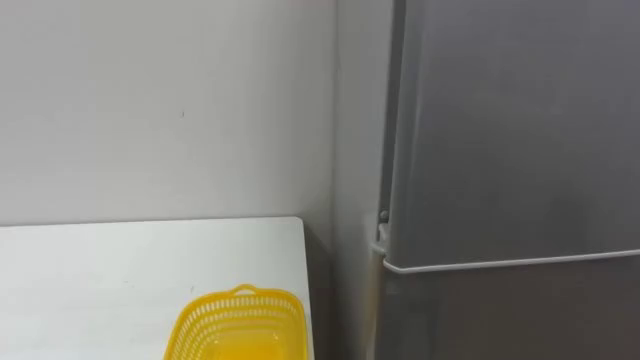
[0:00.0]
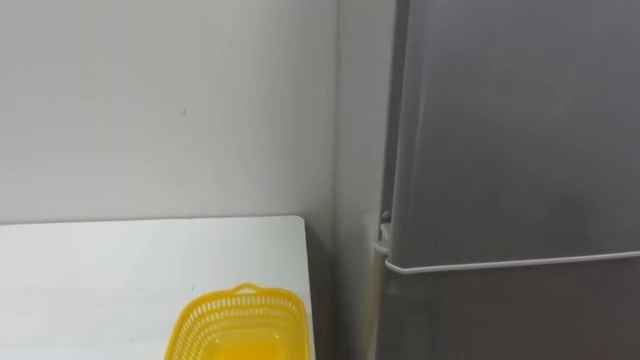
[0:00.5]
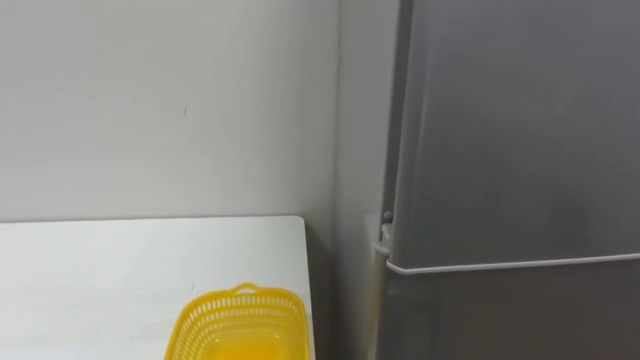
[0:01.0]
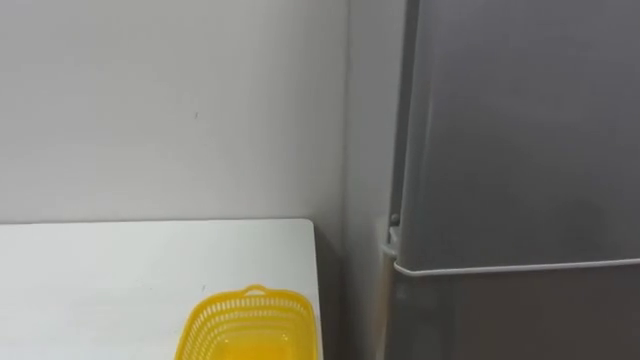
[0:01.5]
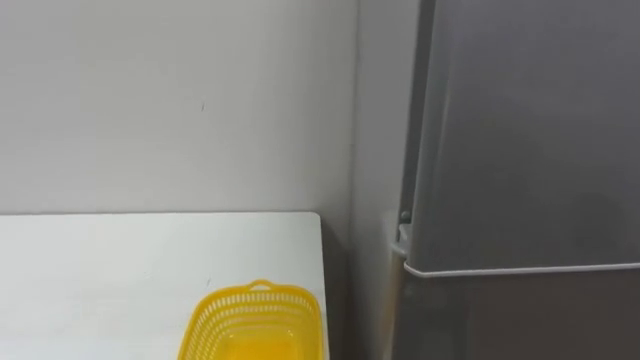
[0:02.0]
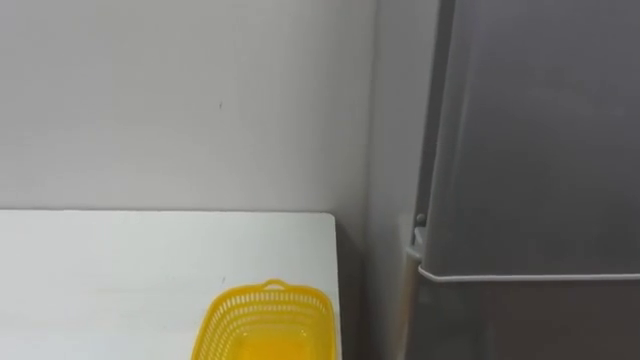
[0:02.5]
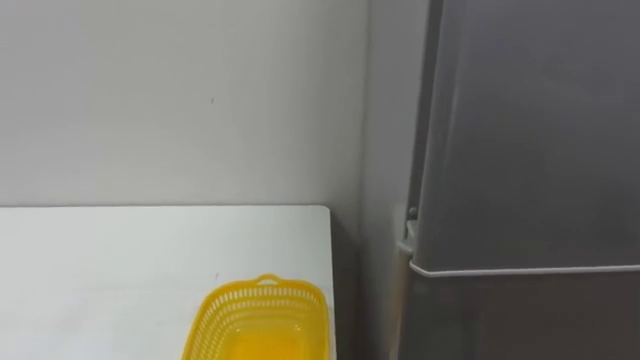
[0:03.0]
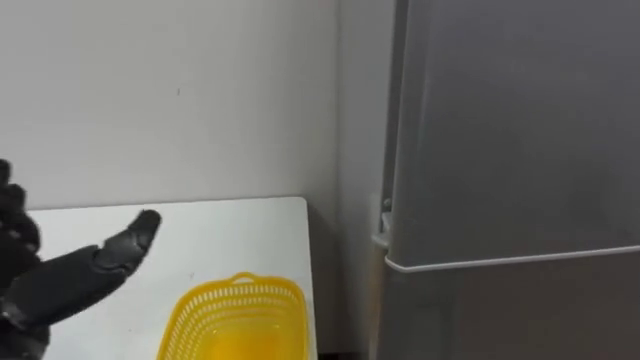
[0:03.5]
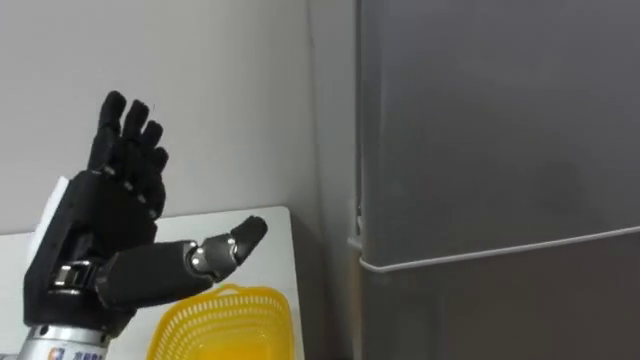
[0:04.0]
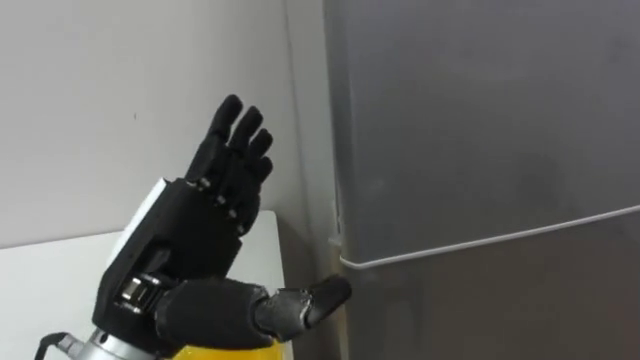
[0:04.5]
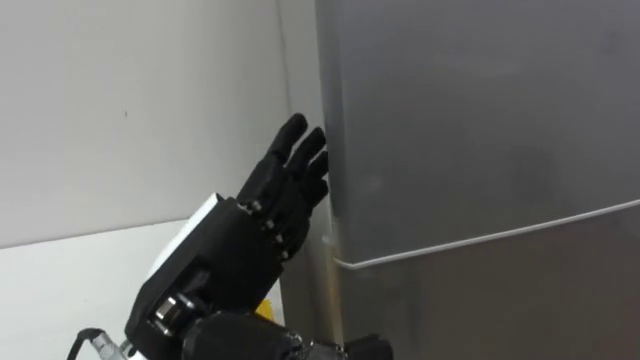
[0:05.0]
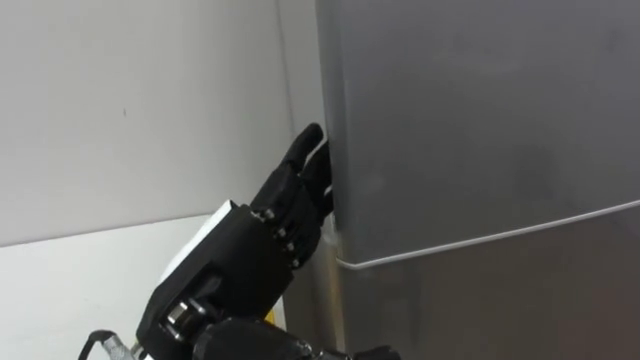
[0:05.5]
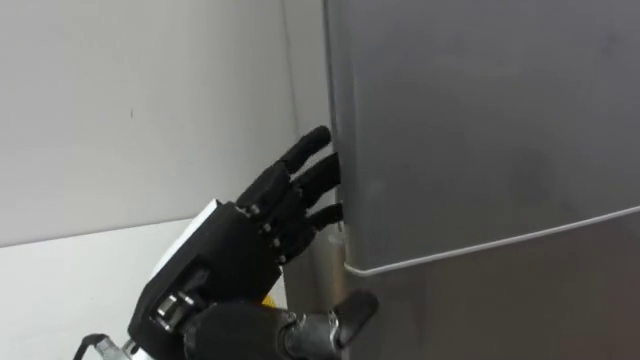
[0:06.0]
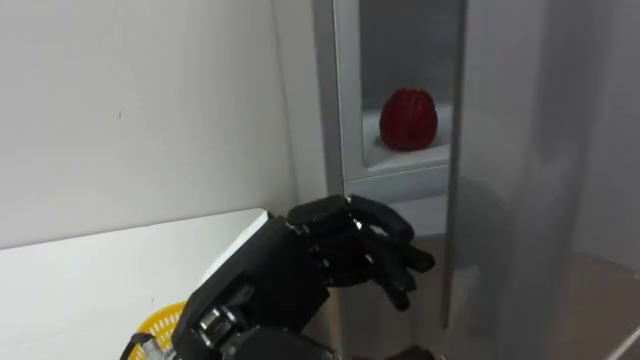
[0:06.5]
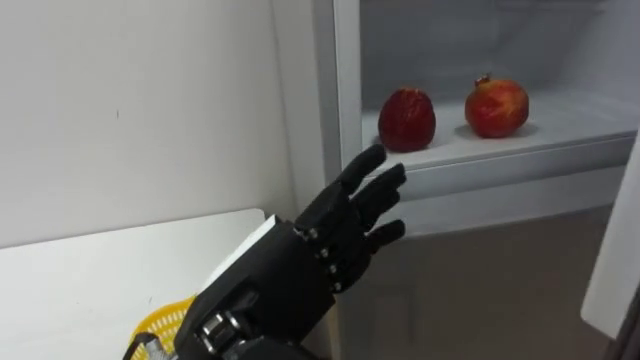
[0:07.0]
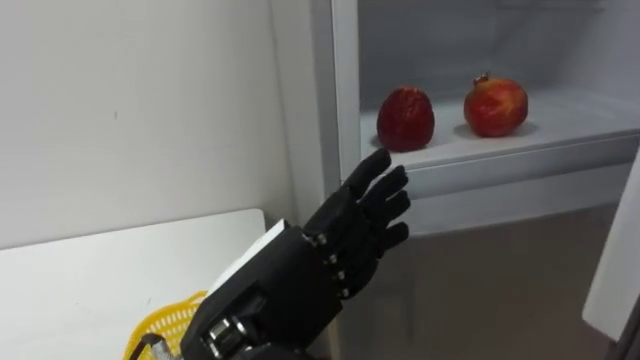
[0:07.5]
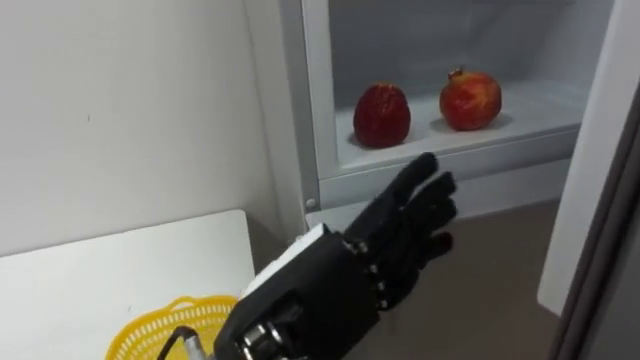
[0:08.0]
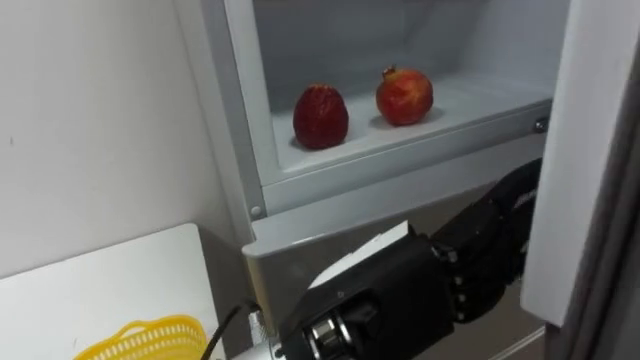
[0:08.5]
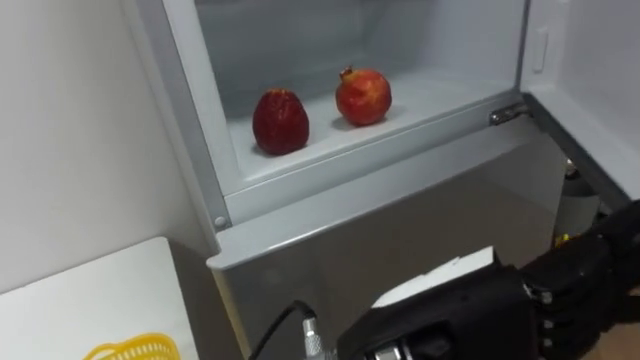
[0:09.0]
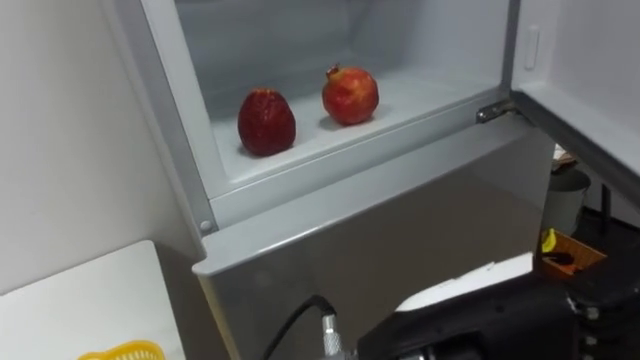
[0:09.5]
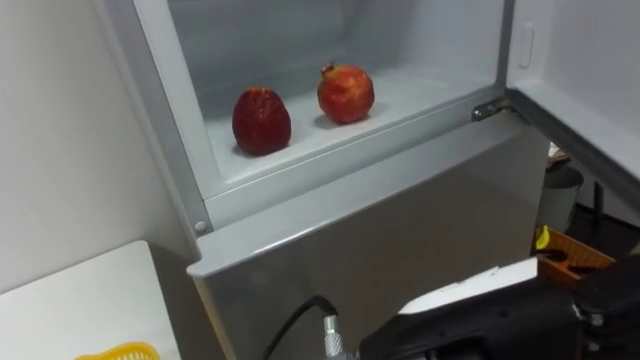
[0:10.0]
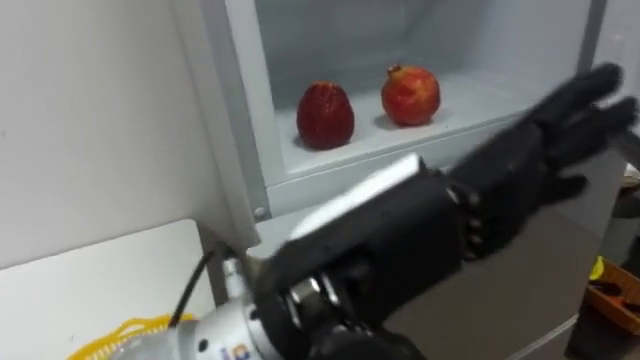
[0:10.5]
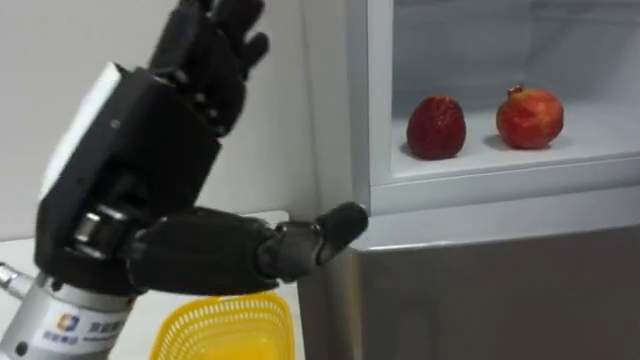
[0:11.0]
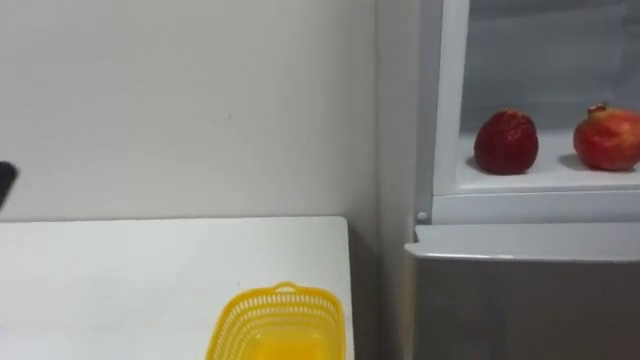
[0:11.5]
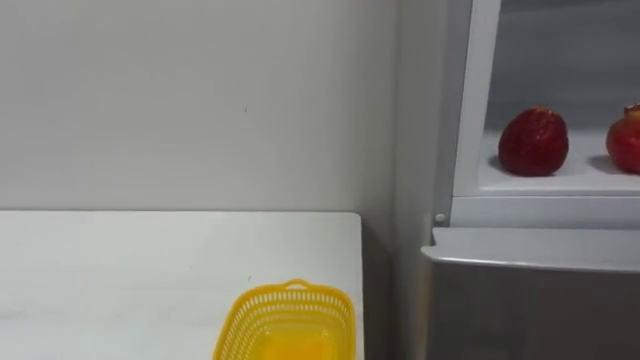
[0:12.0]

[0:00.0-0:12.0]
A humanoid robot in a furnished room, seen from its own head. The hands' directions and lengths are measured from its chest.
Task of the whole recording: Open the refrigerator door, take out the apple and the pomegranate, place them in the fruit basket on the left, and close the refrigerator door.
0:04.0 to 0:06.0: The left hand goes approximately 10 cm to the right.
0:06.0 to 0:08.0: The left hand is displaced to the right by about 5 cm, and closes, then opens again.
0:08.0 to 0:10.0: The left hand heads to the right, covering some 10 cm.

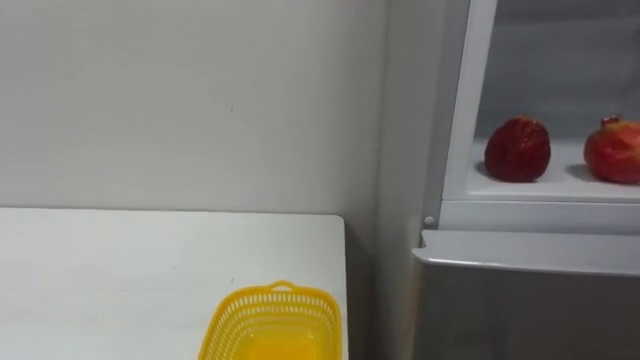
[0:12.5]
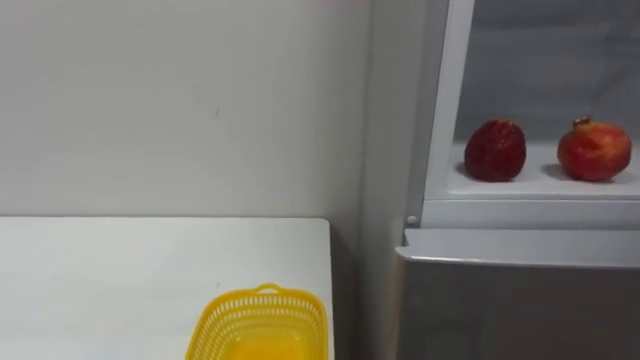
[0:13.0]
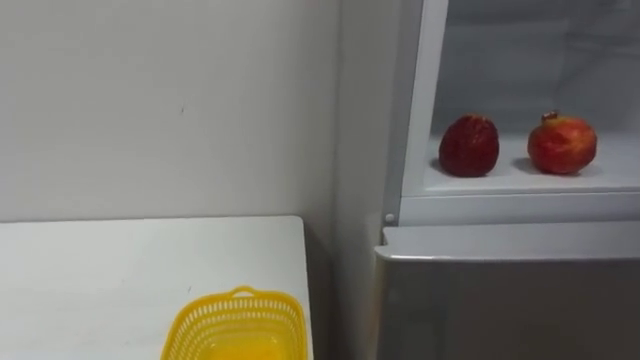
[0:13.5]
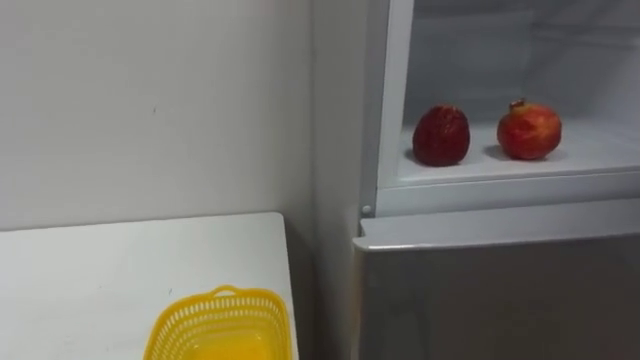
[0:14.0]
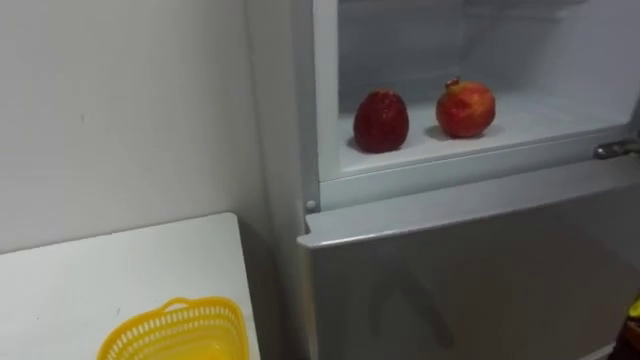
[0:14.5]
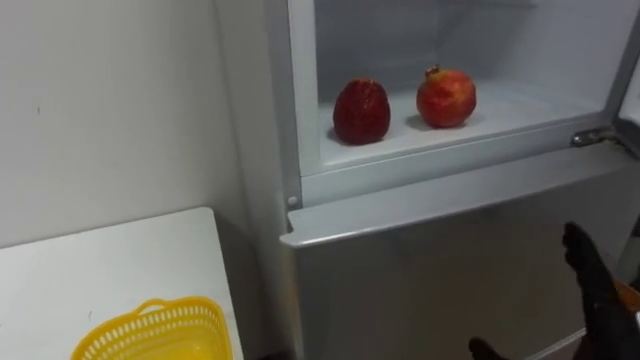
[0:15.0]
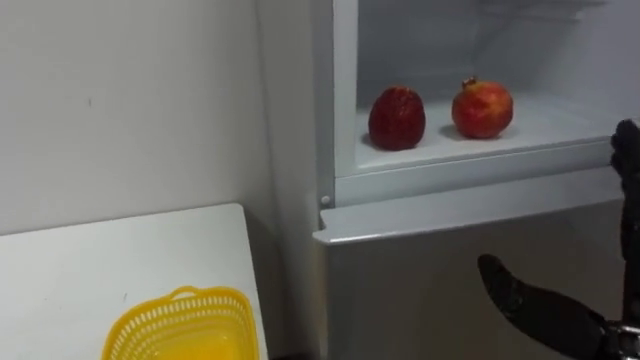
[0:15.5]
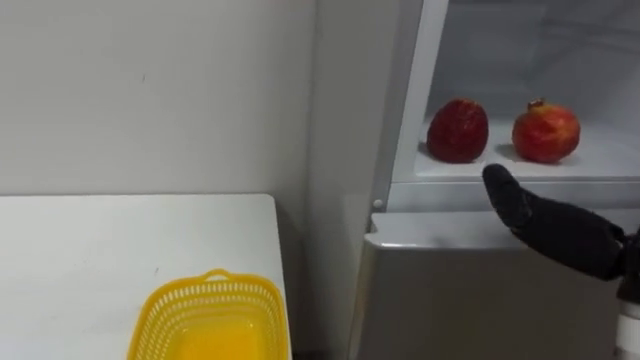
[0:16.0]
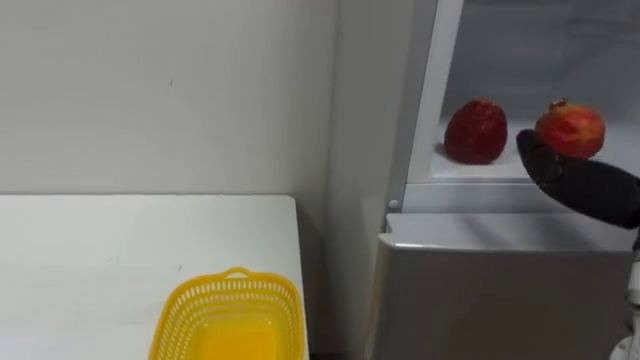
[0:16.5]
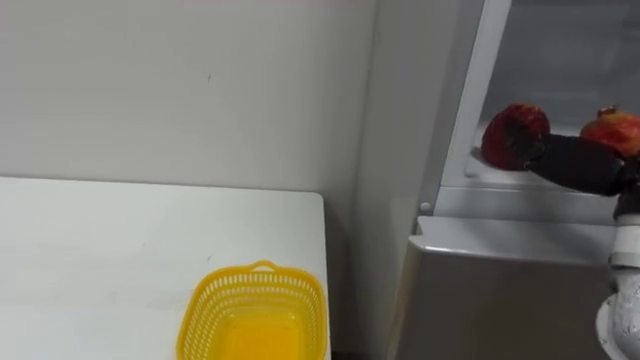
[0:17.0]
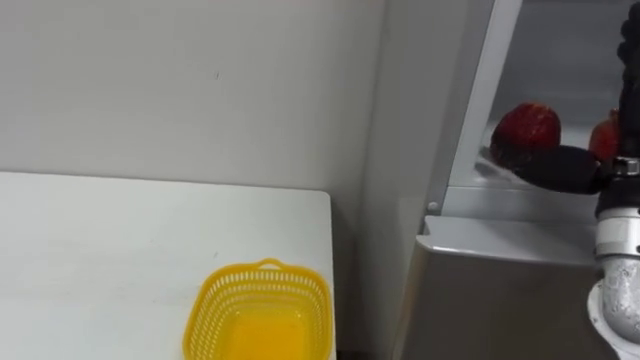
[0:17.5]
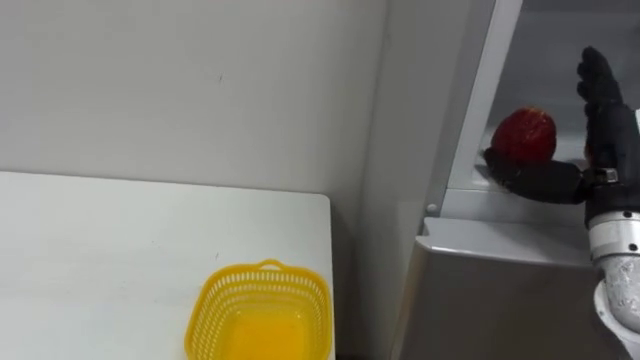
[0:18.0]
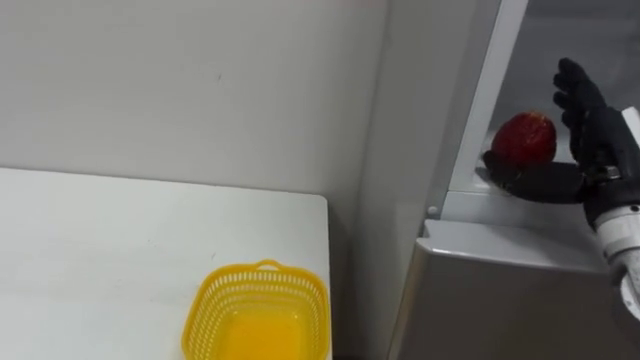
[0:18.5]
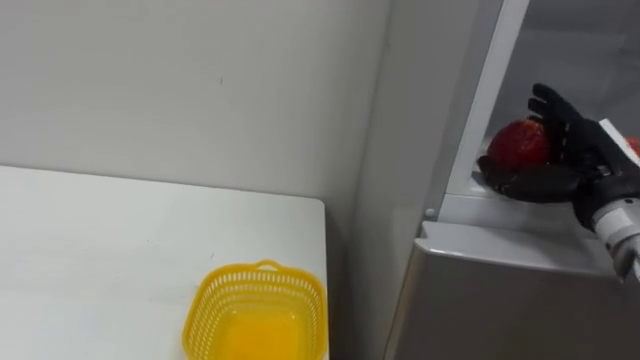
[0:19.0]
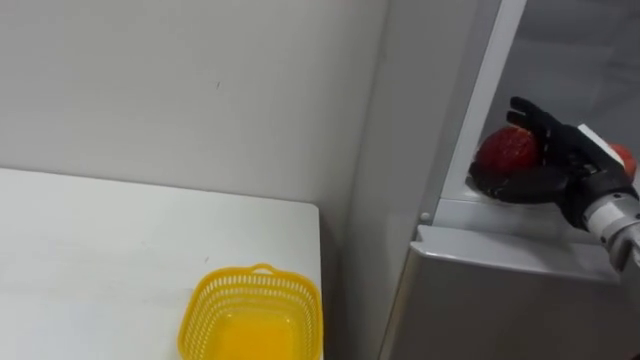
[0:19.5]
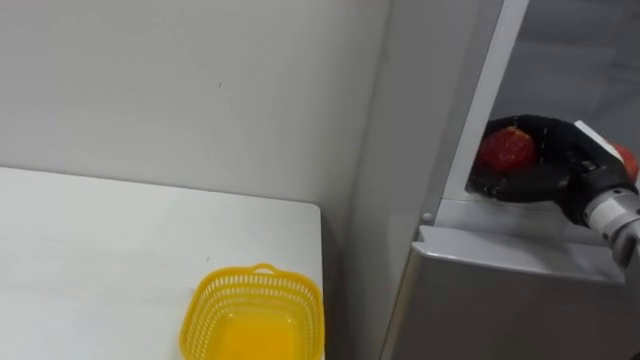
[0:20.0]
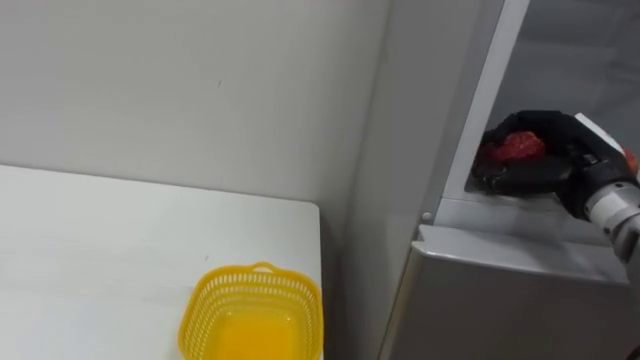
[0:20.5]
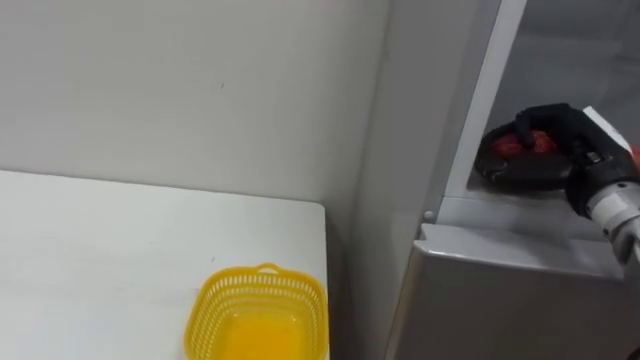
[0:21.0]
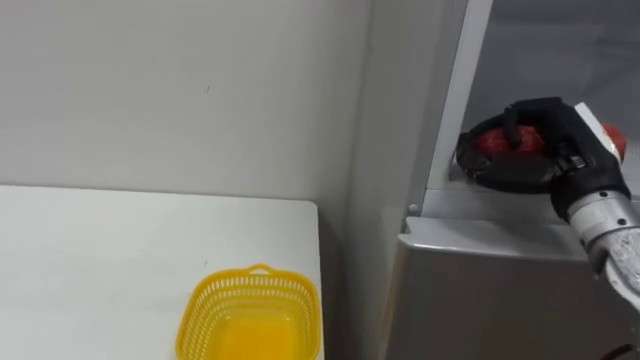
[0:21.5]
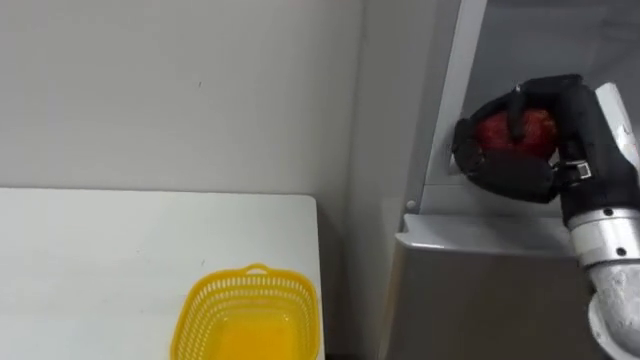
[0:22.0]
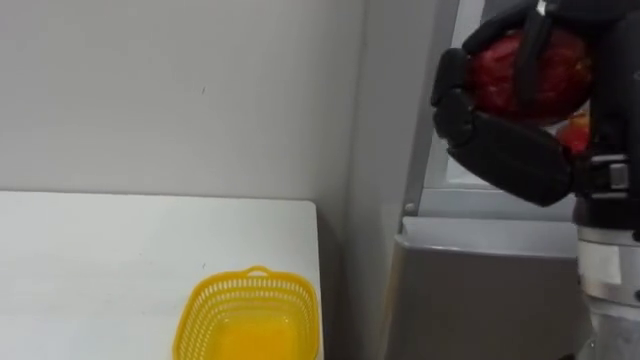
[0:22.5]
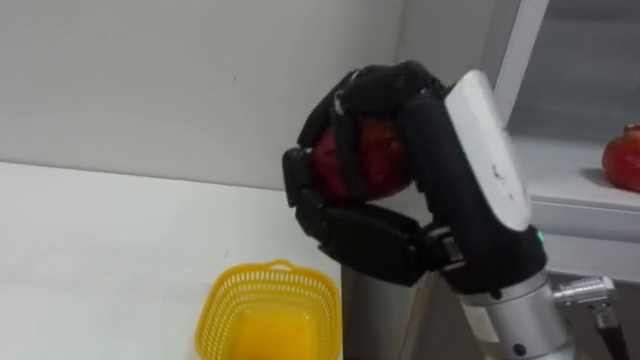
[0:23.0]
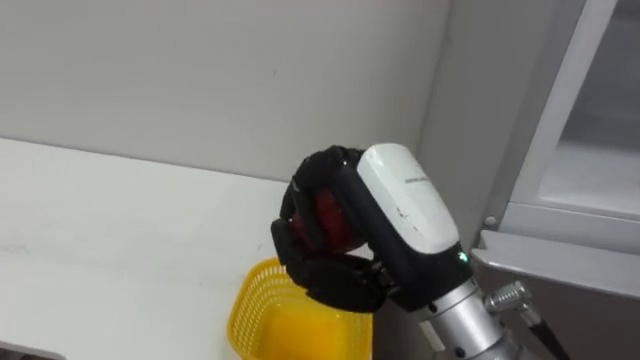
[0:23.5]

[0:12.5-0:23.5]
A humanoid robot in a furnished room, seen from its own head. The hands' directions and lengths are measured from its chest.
Task of the whole recording: Open the refrigerator door, take out the apple and the pomegranate, place them in the fruit basket on the left, and close the refrigerator door.
0:18.0 to 0:20.0: The right hand is displaced forward by about 5 cm, and closes.
0:21.5 to 0:23.5: The right hand shifts about 20 cm to the left and backward.
